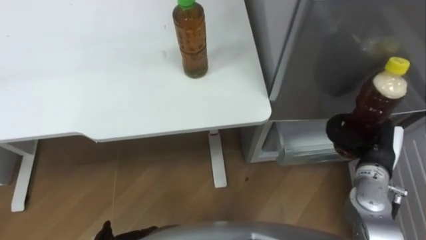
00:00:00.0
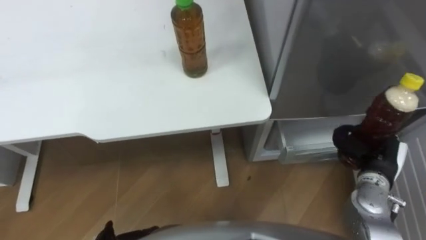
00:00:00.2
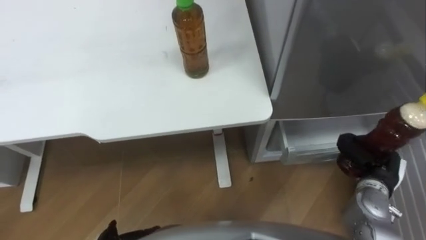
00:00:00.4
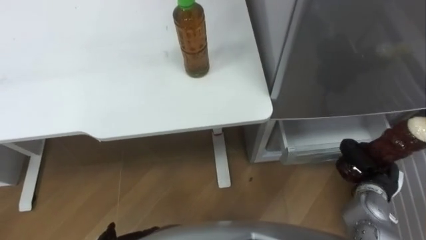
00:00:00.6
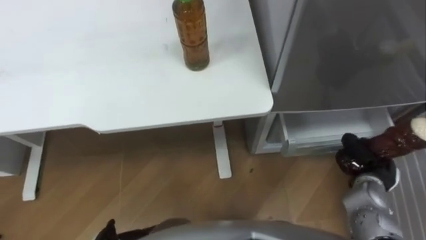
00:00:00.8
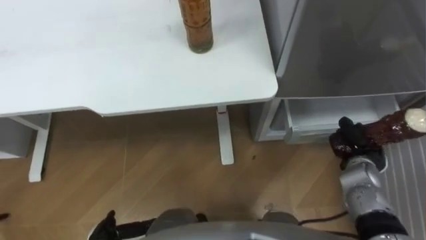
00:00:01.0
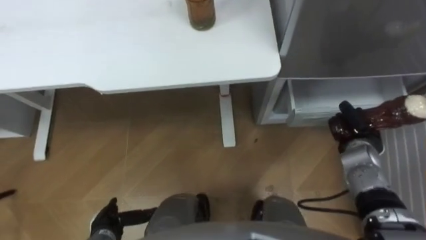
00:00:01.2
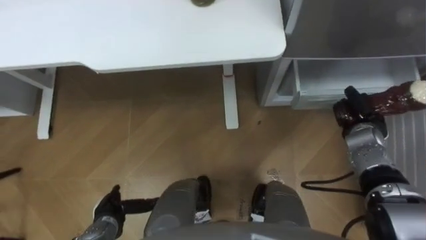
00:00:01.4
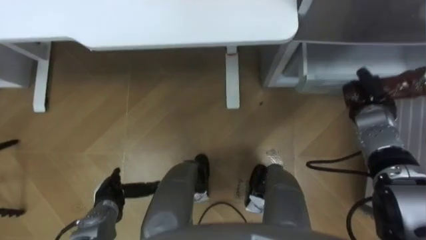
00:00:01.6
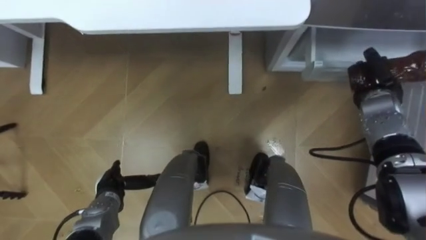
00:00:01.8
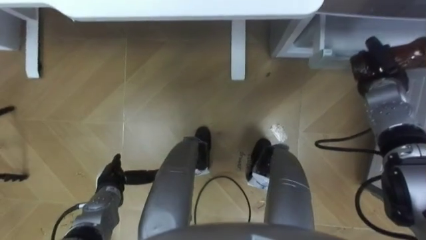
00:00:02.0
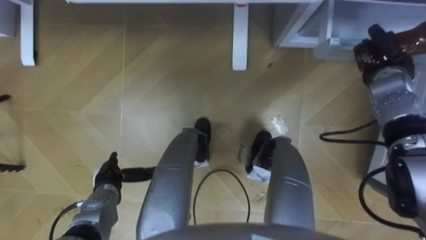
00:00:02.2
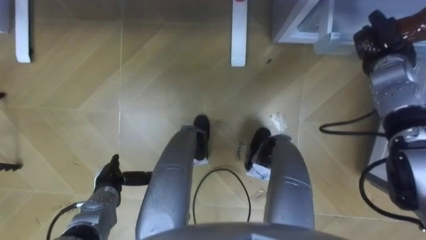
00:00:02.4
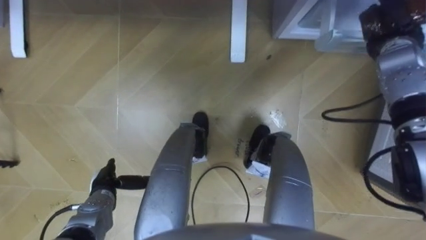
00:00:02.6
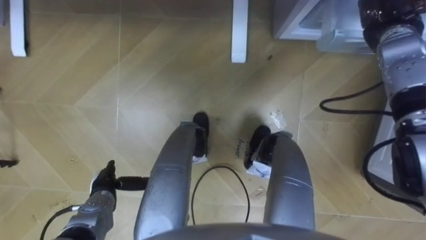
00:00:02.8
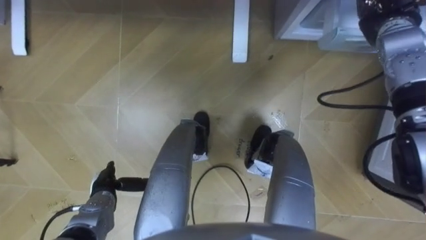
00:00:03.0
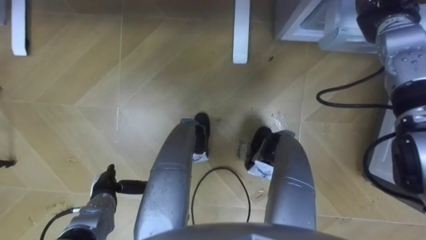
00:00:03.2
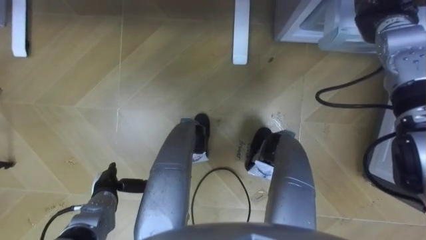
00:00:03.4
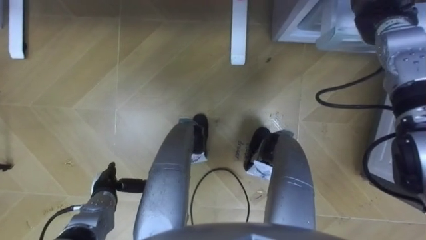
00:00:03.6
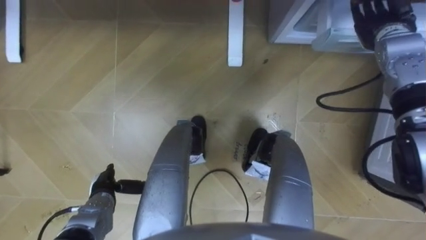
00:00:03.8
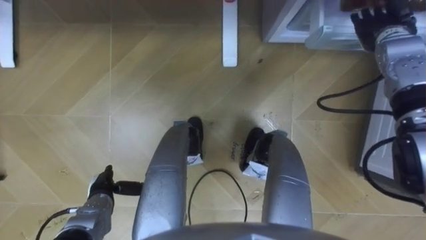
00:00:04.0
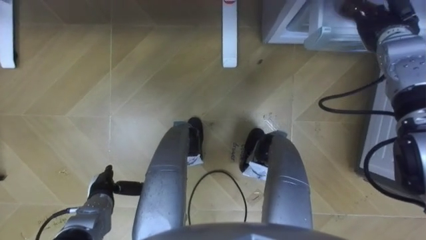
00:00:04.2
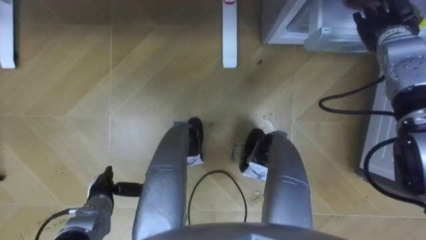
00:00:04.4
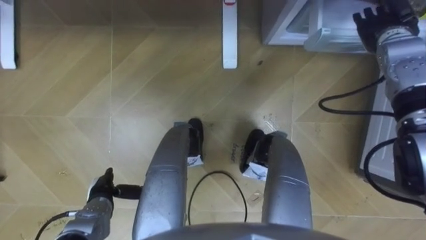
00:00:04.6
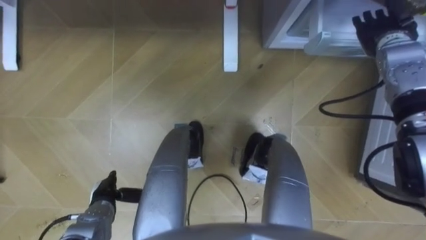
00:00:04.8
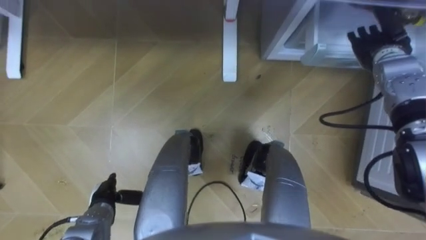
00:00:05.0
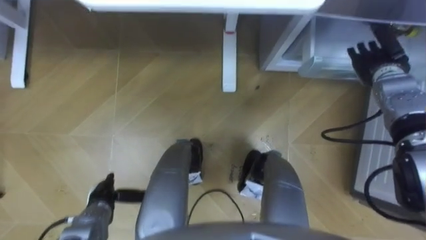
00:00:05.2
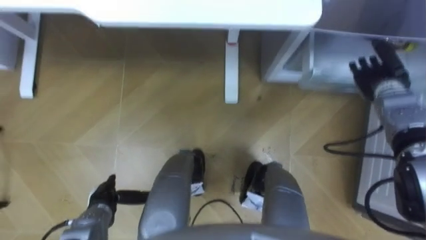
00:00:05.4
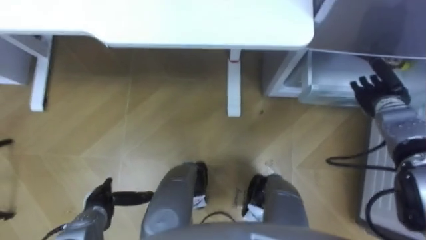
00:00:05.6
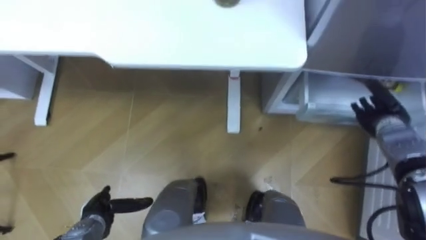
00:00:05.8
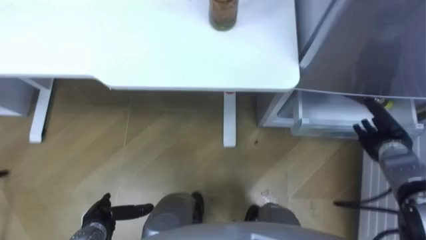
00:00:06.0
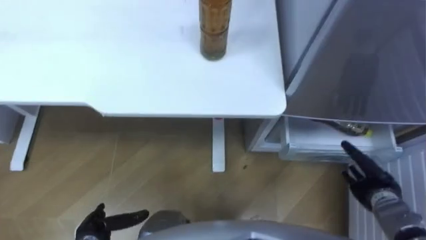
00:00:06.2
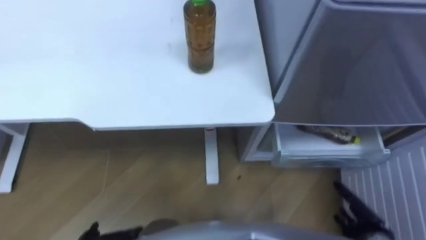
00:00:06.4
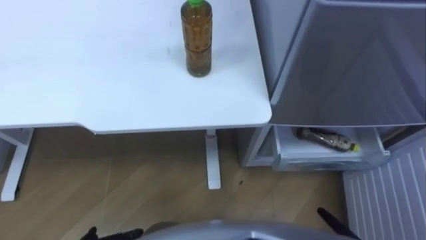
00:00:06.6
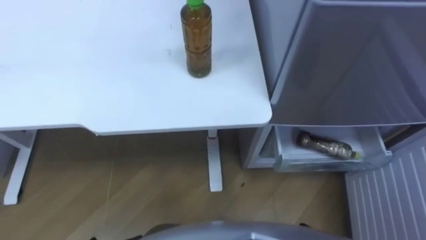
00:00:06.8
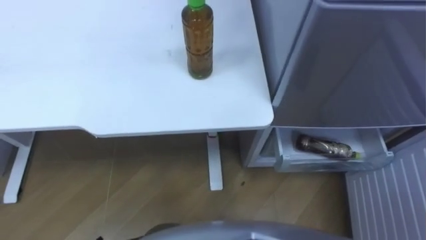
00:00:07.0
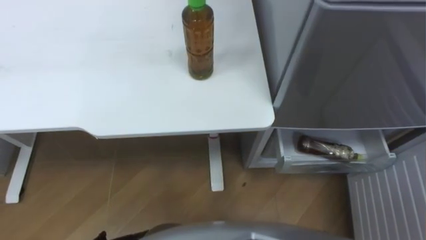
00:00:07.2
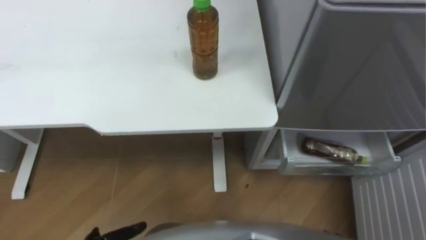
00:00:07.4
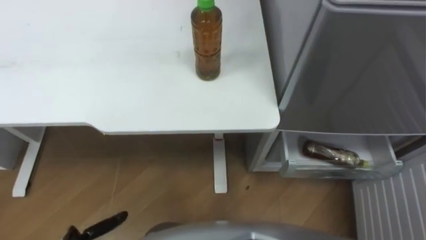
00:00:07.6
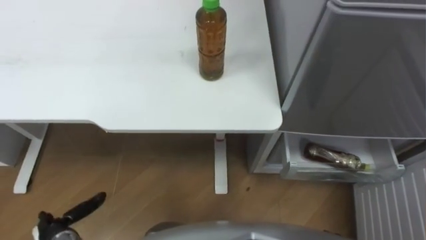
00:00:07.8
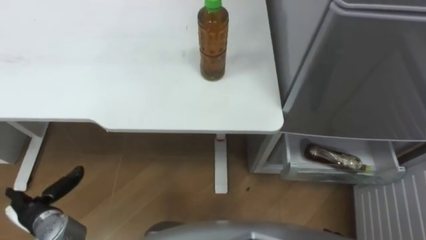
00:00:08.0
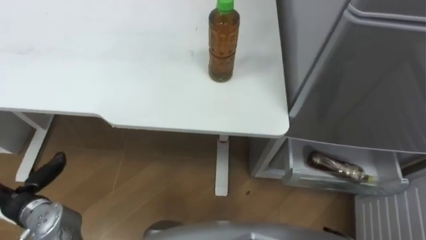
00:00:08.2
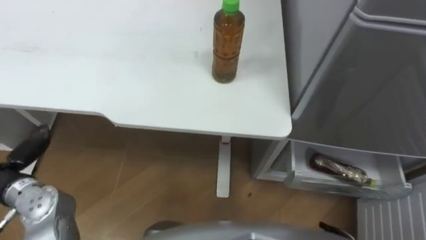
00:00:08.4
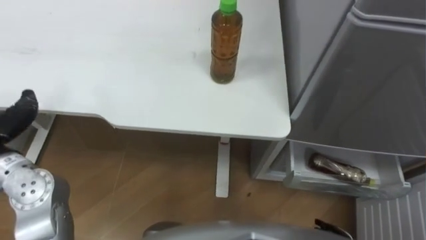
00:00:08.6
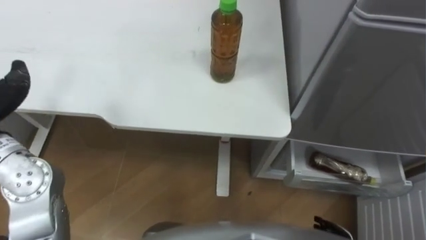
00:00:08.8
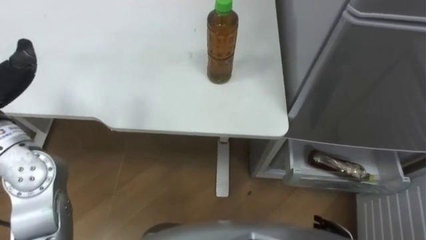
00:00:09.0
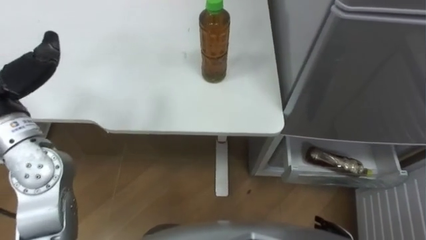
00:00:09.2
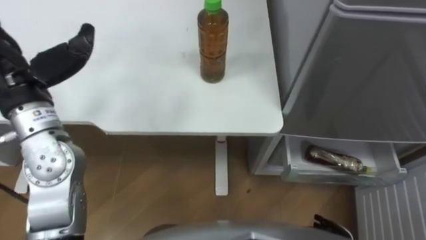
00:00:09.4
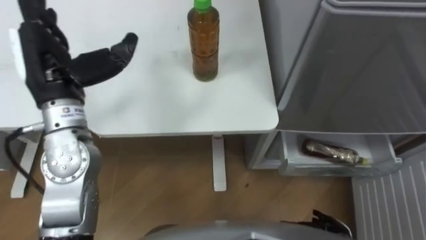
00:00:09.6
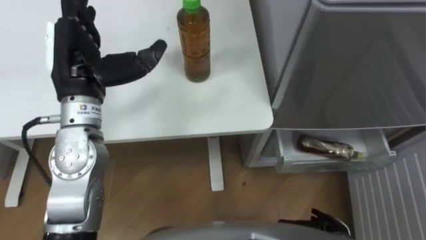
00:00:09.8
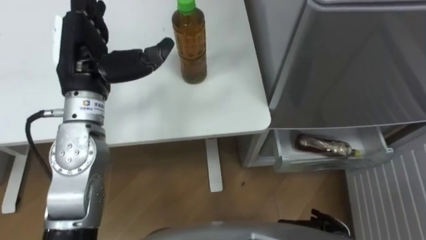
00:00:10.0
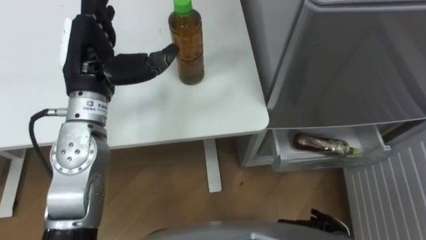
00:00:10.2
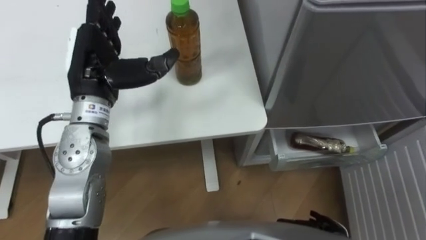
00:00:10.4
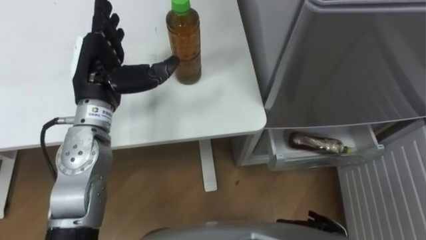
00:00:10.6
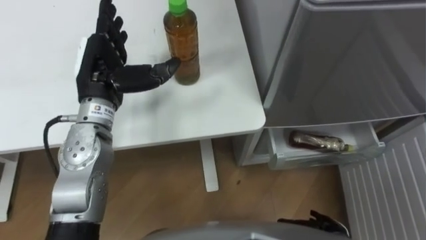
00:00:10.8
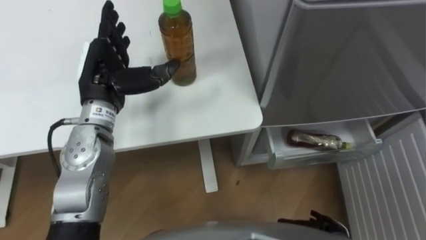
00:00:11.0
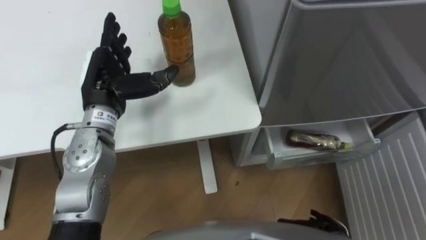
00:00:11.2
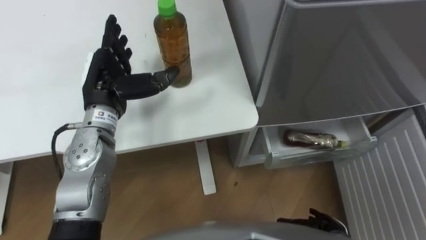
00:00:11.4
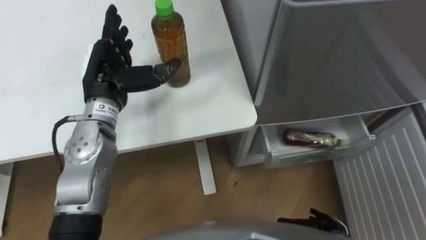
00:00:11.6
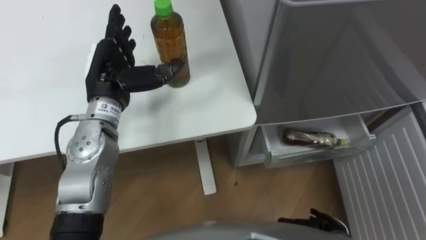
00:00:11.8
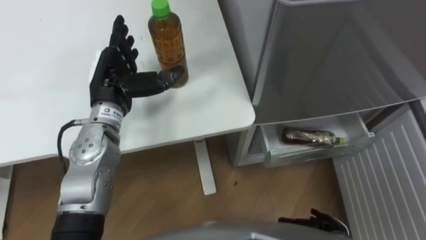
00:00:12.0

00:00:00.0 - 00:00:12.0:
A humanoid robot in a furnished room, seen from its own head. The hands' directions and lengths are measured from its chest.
Task of the whole recording: Place the drink on the table on the bottom shelf of the refrigerator, then close the drawer and the refrigerator door.
00:00:00.0 - 00:00:01.6: The right hand travels forward by some 10 cm.
00:00:01.6 - 00:00:03.0: The right hand travels upward and forward by about 20 cm.
00:00:03.0 - 00:00:04.4: The right hand opens its fingers.
00:00:04.4 - 00:00:06.0: The left hand travels backward by some 5 cm; the right hand goes roughly 25 cm backward and downward.
00:00:10.4 - 00:00:12.0: The left hand shifts about 5 cm downward.

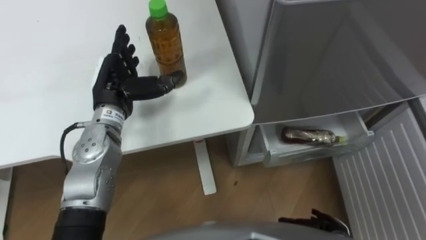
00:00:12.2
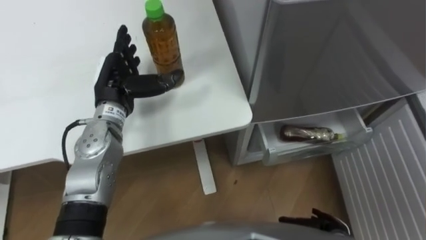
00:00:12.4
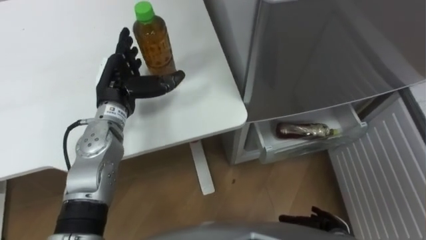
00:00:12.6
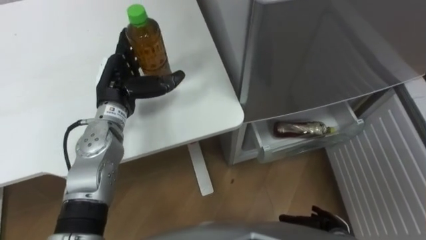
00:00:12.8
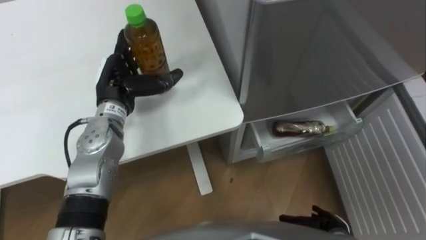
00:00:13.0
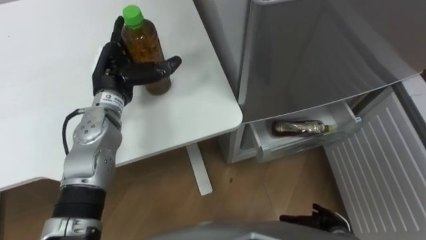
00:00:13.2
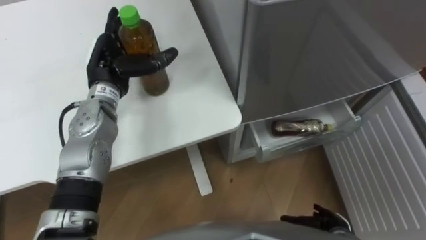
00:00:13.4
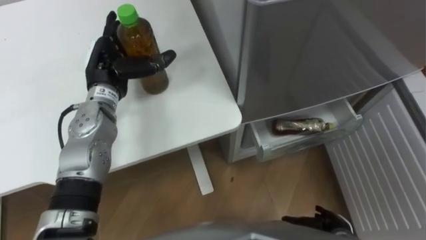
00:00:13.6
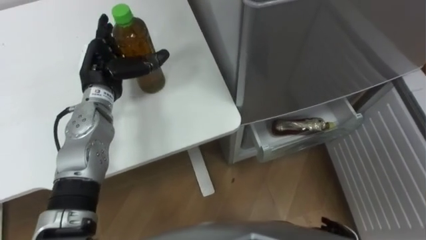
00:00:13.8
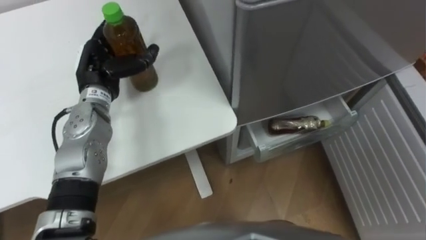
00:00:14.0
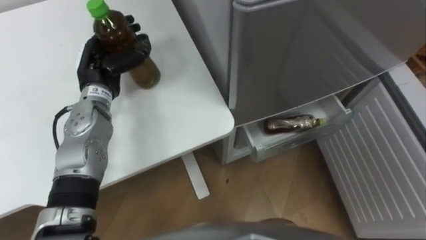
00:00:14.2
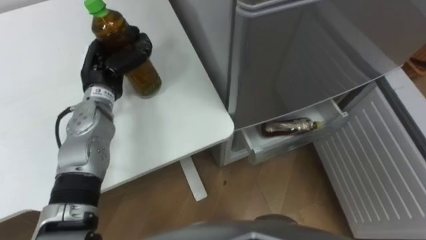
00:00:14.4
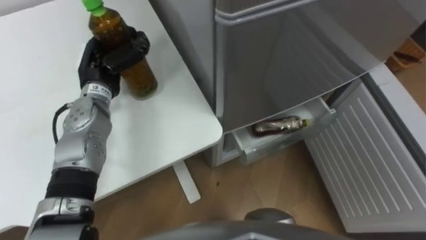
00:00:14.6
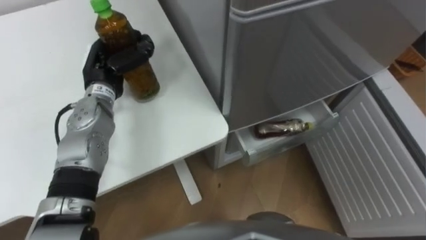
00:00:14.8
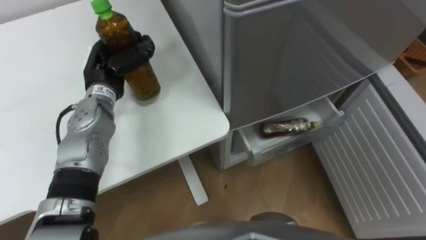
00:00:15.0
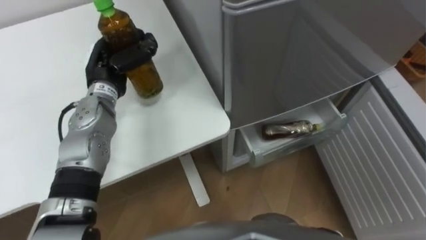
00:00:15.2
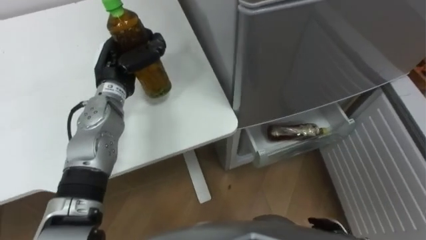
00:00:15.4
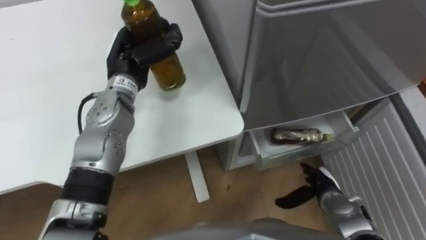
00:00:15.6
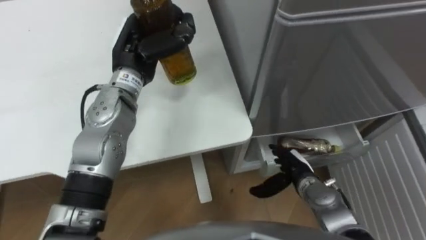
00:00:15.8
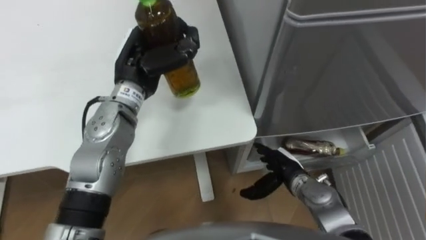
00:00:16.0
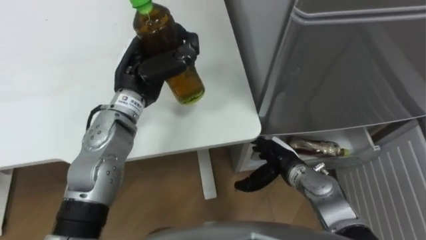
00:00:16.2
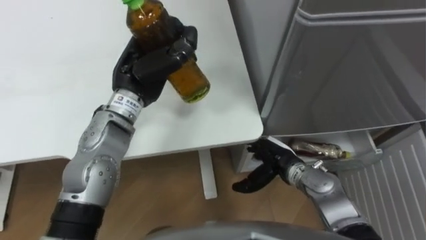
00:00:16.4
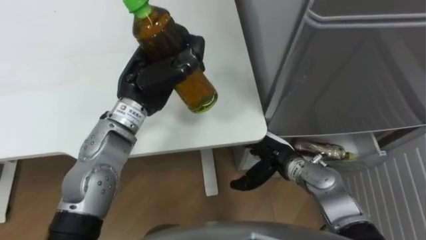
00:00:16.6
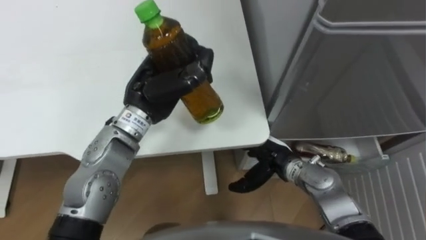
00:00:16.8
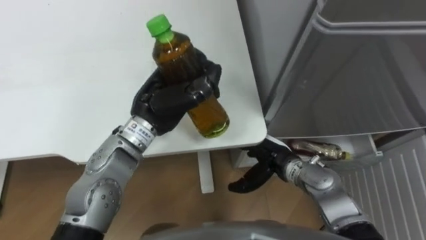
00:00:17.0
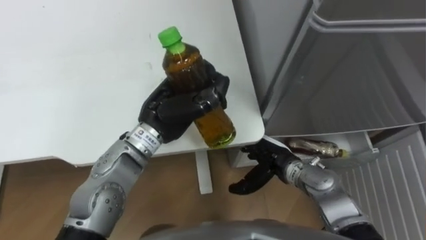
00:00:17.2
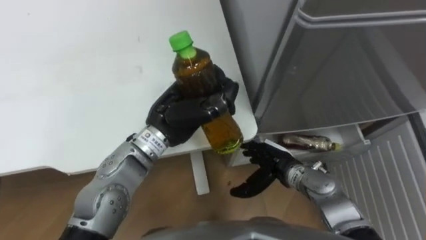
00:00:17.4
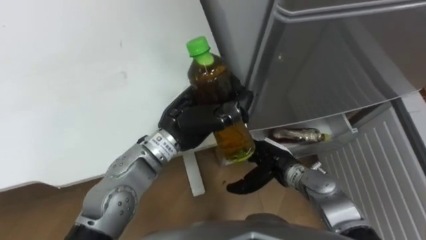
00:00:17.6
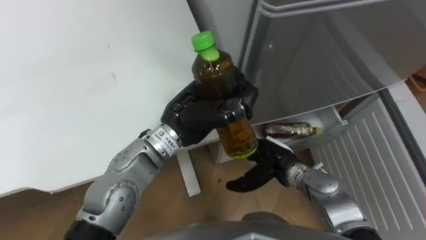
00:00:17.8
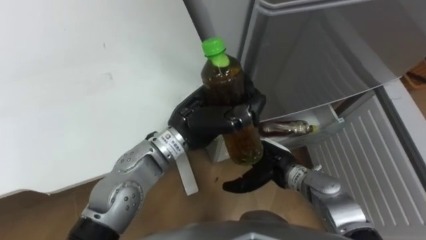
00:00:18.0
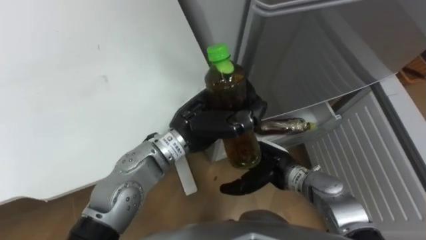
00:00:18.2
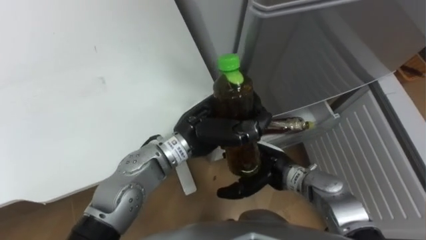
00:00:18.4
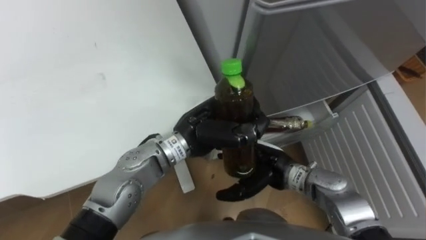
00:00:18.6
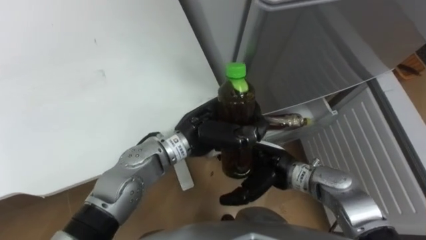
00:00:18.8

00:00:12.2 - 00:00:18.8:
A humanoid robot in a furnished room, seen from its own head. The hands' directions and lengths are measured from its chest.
Task of the whole recording: Place the drink on the table on the bottom shelf of the refrigerator, then close the drawer and the refrigerator door.
00:00:13.8 - 00:00:15.4: The left hand closes.
00:00:15.4 - 00:00:17.2: The left hand goes approximately 15 cm to the right and backward; the right hand goes some 25 cm forward, to the left and upward.
00:00:17.2 - 00:00:18.8: The left hand moves to the right, some 5 cm.
